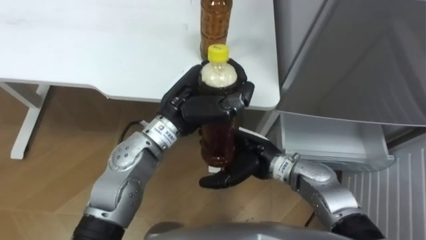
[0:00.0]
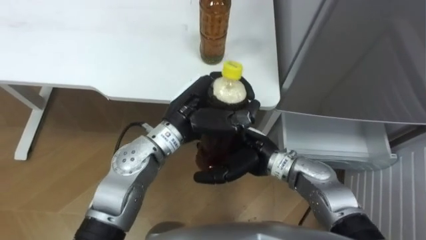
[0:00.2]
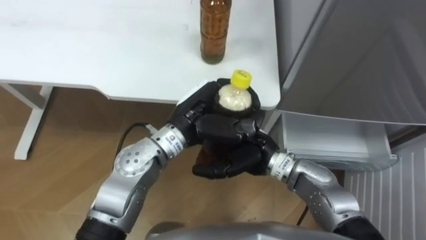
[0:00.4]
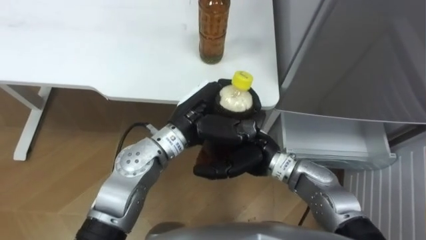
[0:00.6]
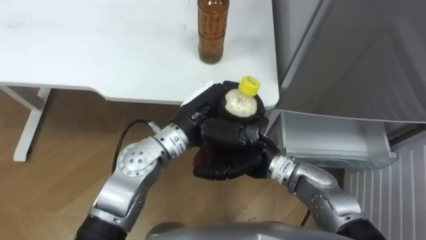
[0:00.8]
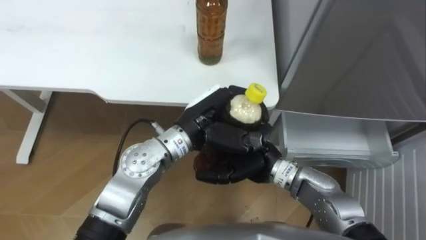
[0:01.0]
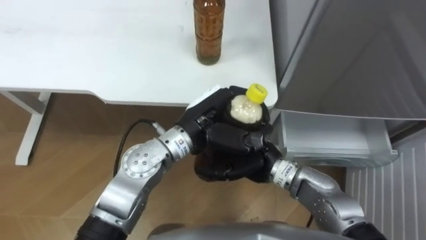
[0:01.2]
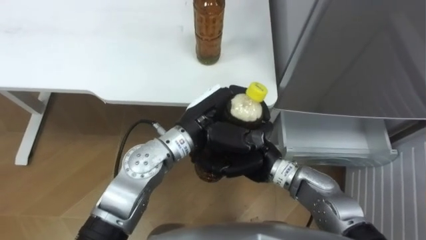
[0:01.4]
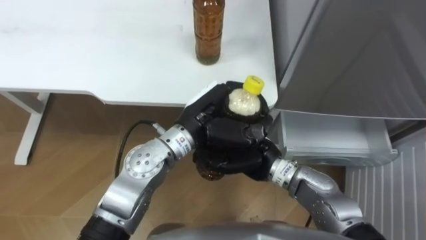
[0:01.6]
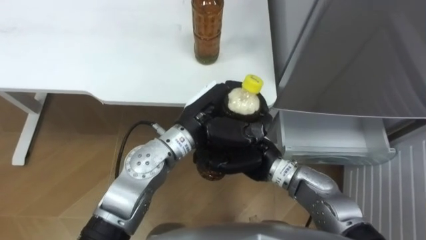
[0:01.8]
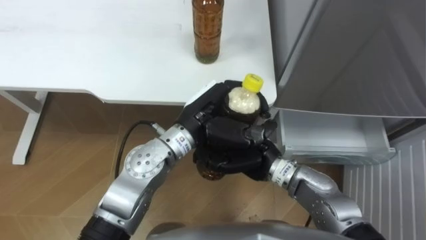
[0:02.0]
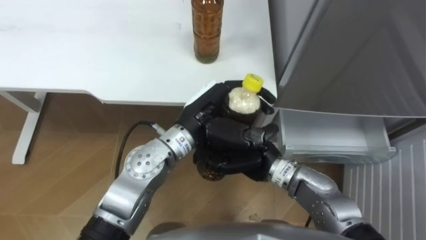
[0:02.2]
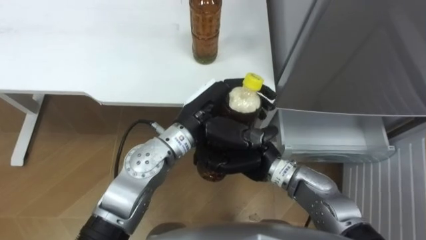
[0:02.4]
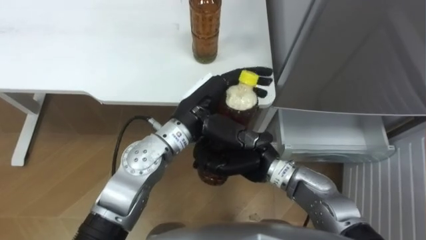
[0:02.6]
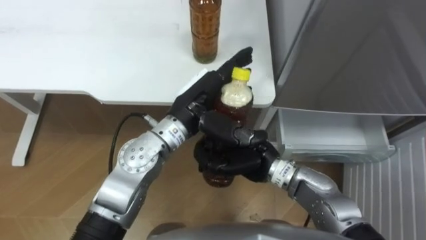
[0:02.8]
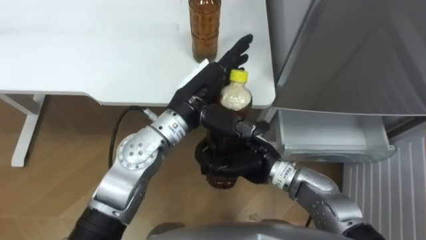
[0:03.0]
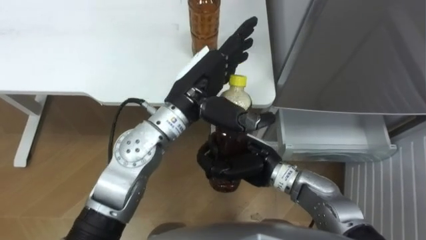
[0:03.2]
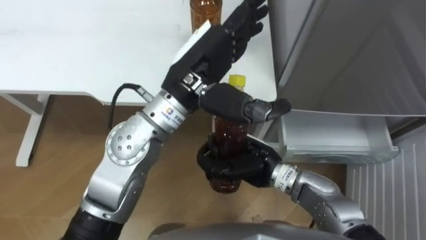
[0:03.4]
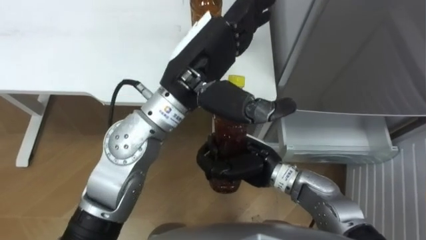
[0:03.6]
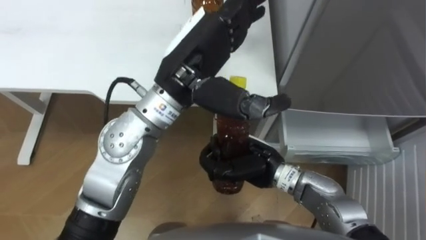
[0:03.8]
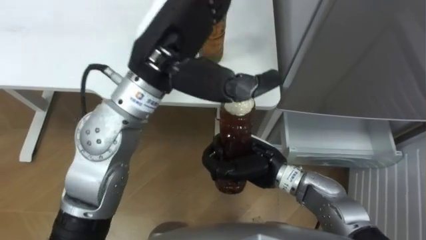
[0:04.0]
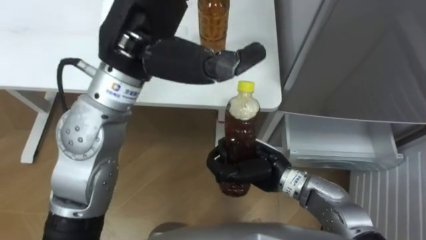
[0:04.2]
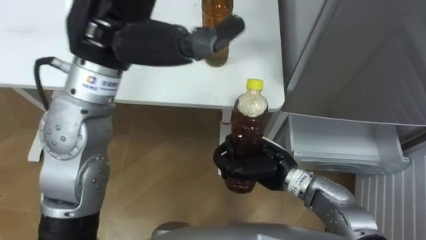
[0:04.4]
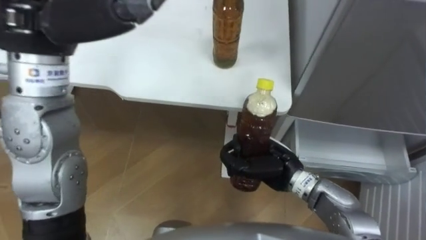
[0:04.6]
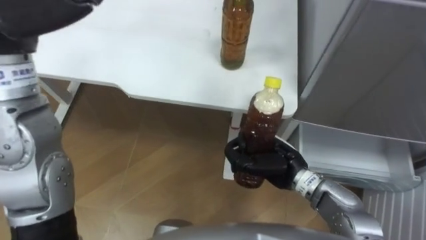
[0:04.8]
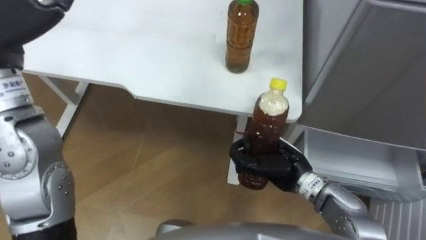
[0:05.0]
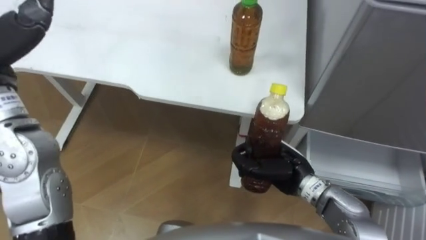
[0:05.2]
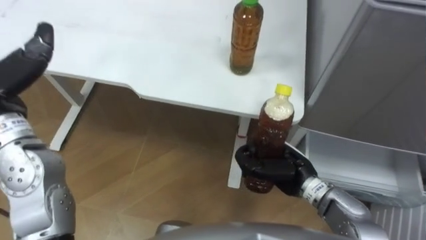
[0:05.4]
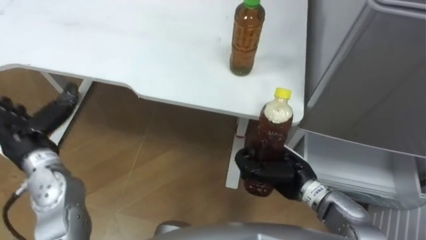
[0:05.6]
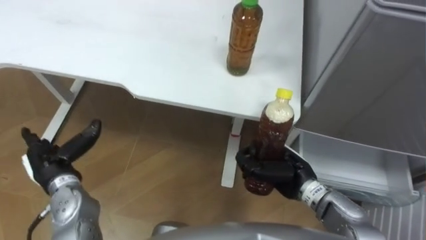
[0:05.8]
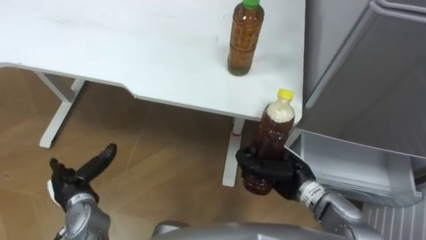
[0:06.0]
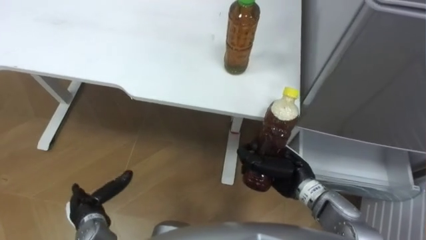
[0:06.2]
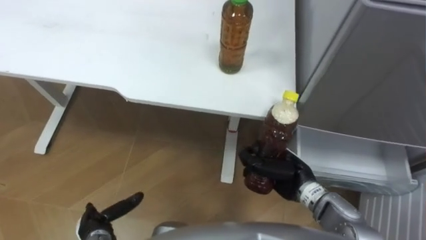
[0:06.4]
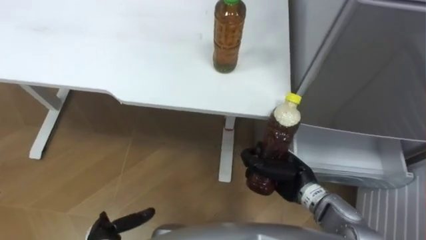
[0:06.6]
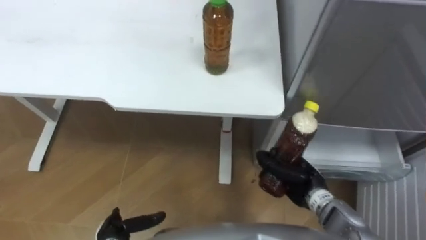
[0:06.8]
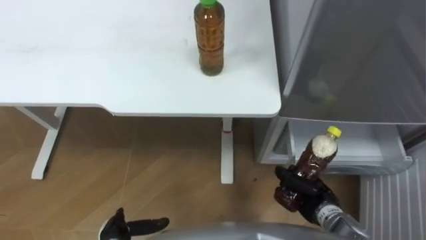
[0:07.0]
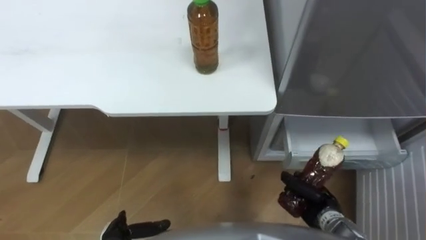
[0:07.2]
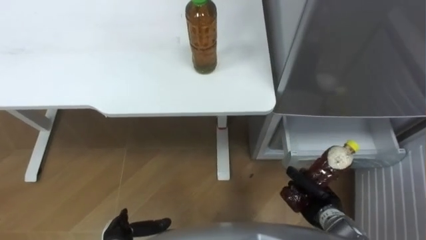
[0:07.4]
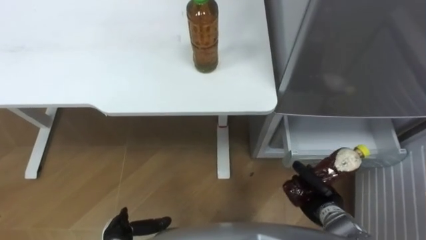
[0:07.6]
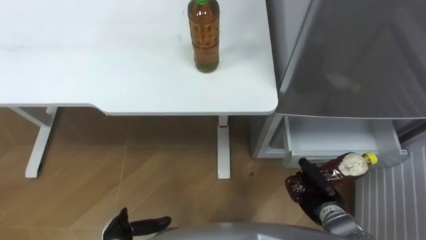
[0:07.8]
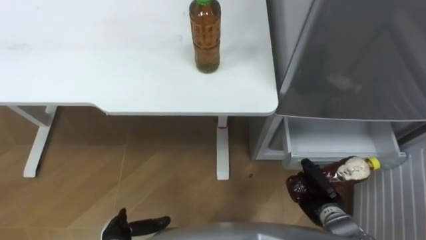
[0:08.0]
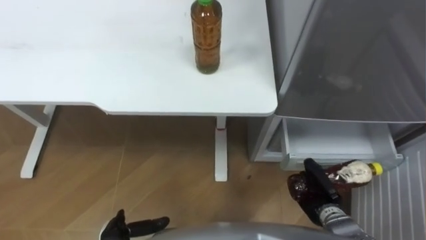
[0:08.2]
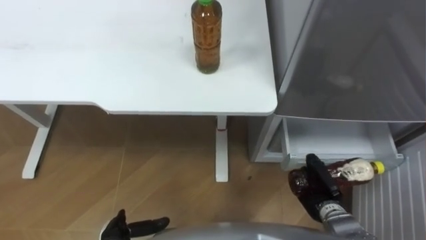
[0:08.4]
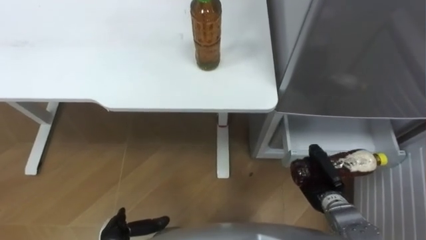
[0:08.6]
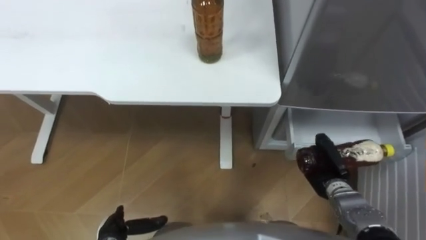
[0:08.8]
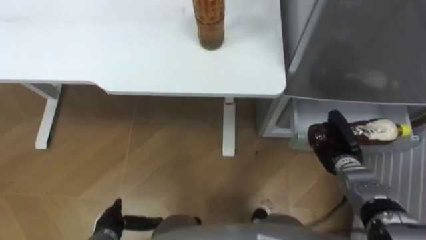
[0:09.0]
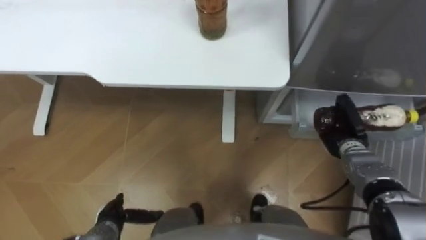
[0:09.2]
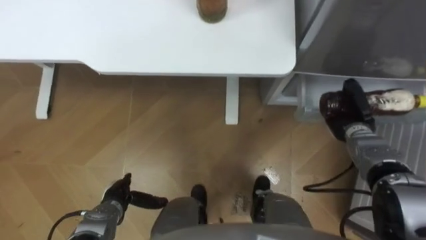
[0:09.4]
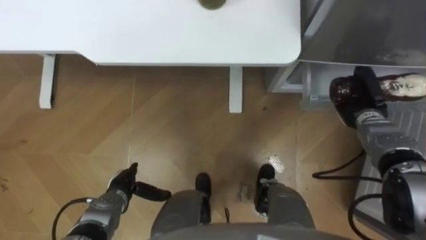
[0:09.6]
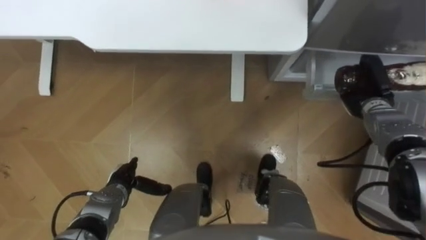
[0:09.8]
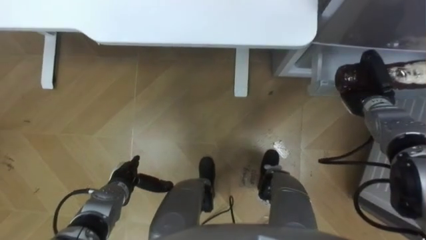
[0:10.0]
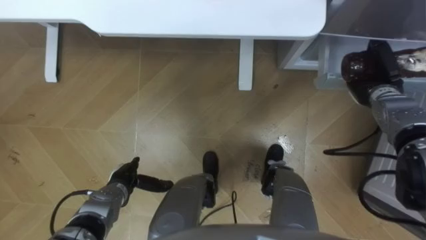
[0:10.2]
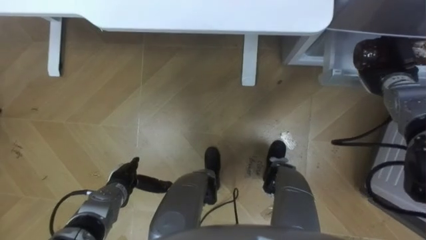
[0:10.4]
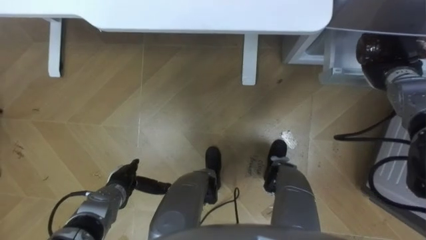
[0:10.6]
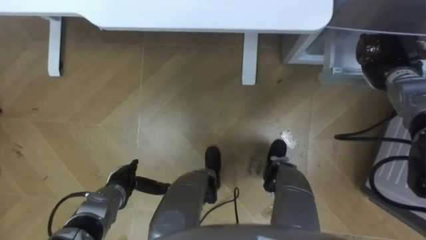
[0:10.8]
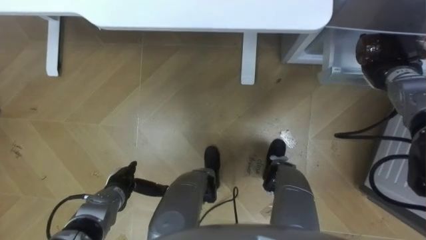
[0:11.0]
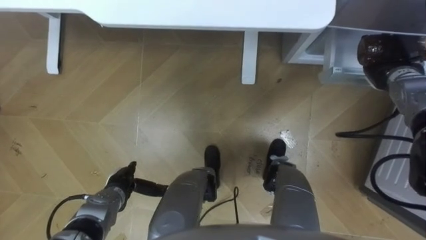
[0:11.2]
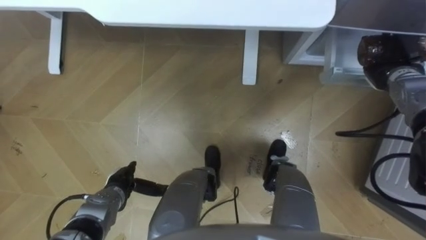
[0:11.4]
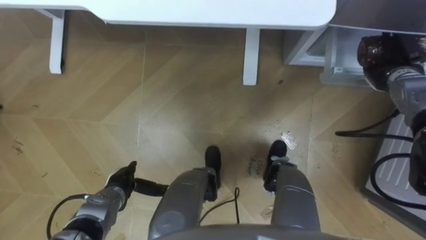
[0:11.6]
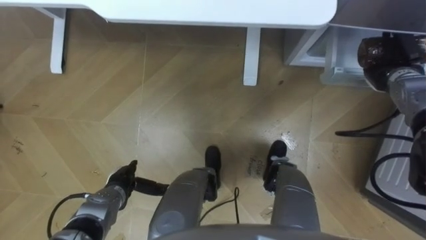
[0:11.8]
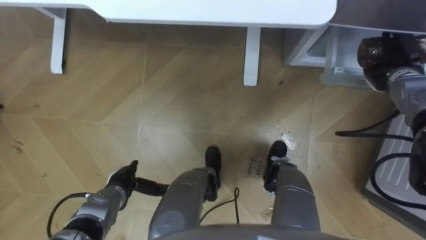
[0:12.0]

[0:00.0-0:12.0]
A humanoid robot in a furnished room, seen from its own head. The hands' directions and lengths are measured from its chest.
Task of the whole recording: Place the drink on the table on the bottom shelf of the refrigerator, then close the drawer and the refrigerator door.
0:00.0 to 0:01.6: The right hand closes up.
0:01.6 to 0:03.0: The left hand opens.
0:03.0 to 0:04.4: The left hand moves upward and to the left, some 20 cm.
0:04.4 to 0:06.0: The right hand ends up roughly 5 cm from where it was.
0:06.0 to 0:07.6: The left hand heads backward, downward and to the right, covering roughly 15 cm. The right hand goes about 15 cm to the right, downward and backward.
0:07.6 to 0:09.0: The right hand shifts some 10 cm forward.
0:09.0 to 0:10.4: The left hand is displaced forward by roughly 10 cm. Meanwhile the right hand goes roughly 20 cm forward, upward and to the right.

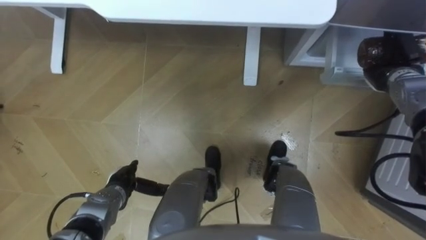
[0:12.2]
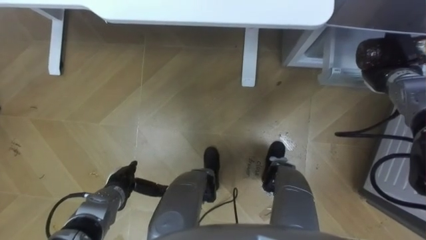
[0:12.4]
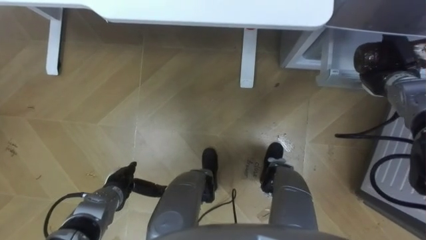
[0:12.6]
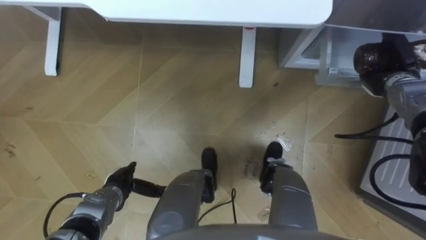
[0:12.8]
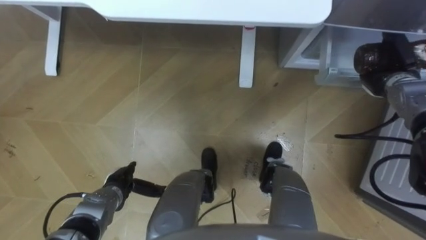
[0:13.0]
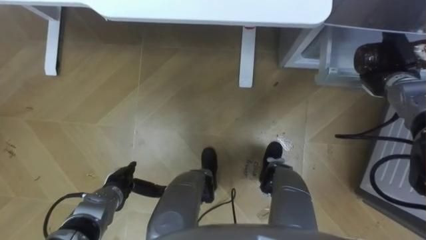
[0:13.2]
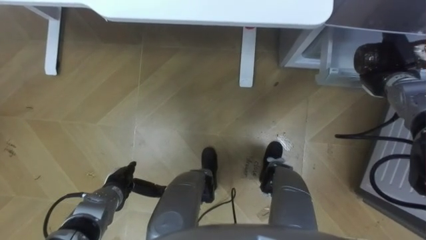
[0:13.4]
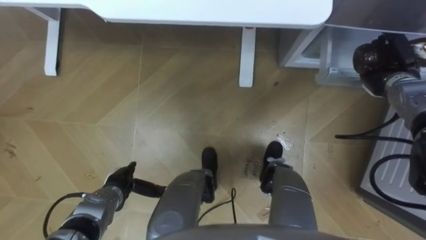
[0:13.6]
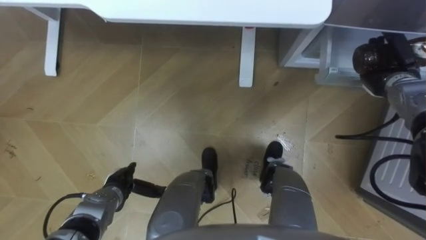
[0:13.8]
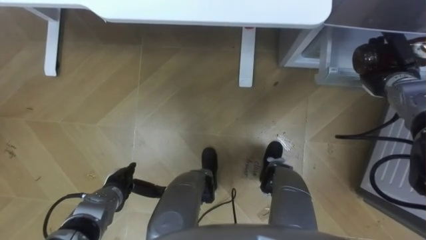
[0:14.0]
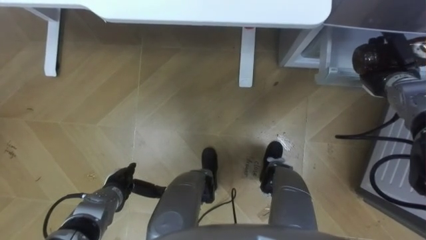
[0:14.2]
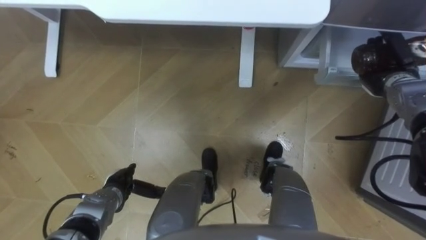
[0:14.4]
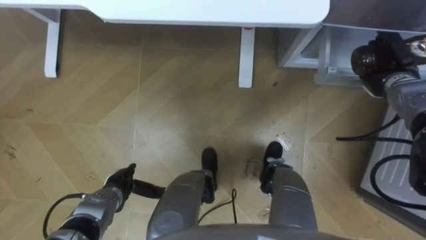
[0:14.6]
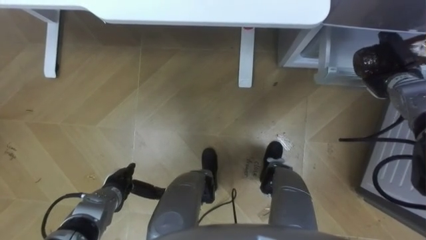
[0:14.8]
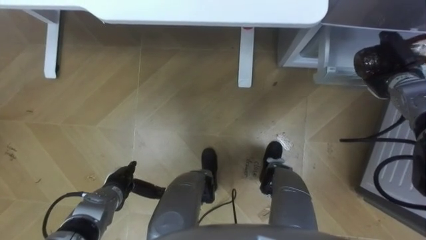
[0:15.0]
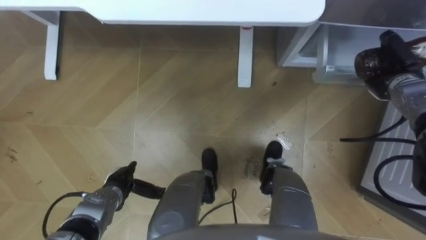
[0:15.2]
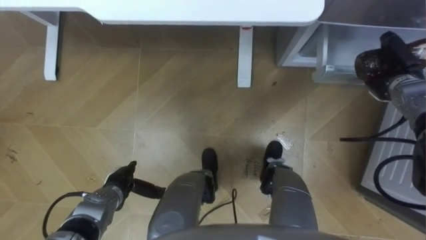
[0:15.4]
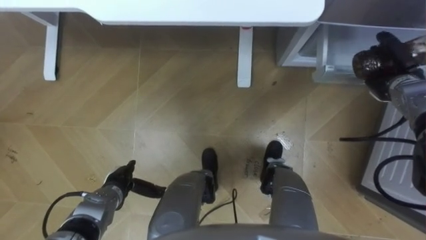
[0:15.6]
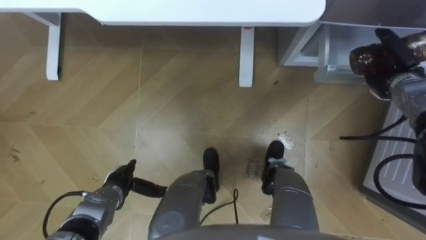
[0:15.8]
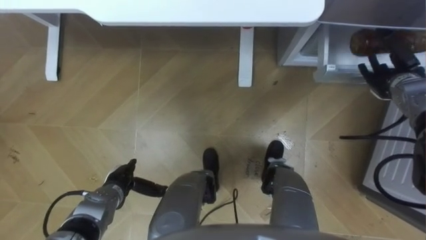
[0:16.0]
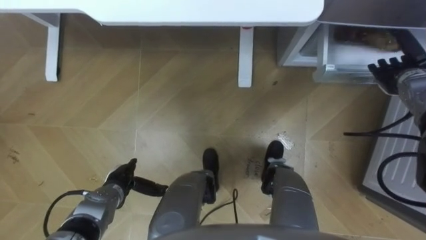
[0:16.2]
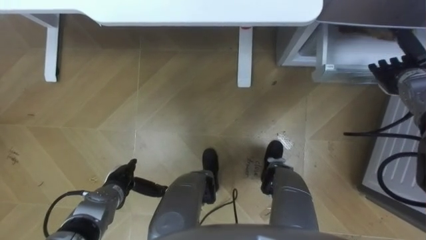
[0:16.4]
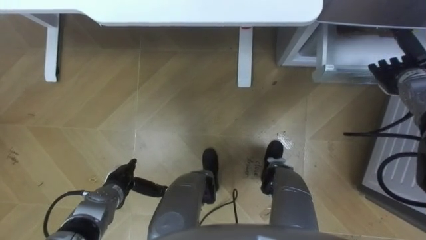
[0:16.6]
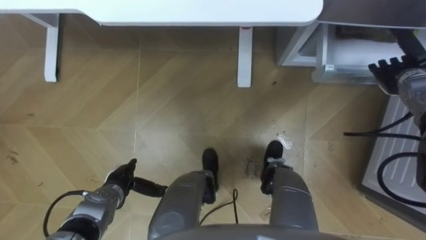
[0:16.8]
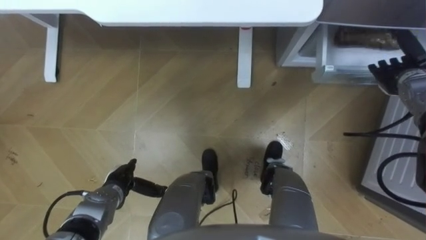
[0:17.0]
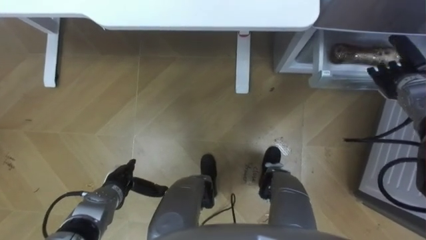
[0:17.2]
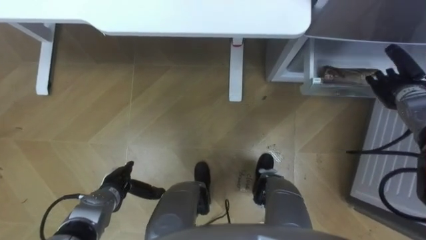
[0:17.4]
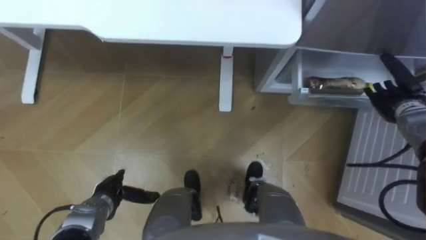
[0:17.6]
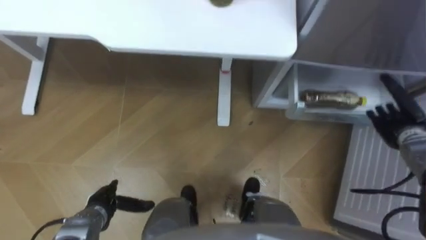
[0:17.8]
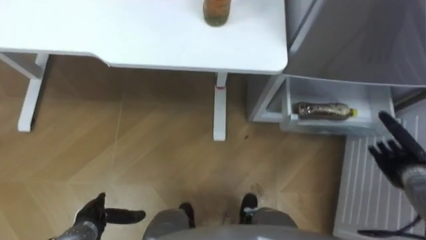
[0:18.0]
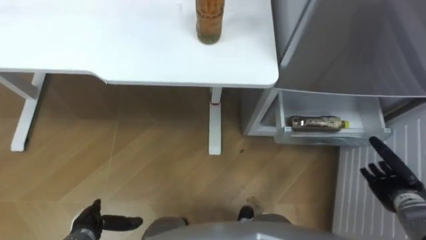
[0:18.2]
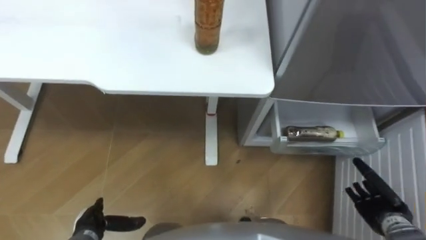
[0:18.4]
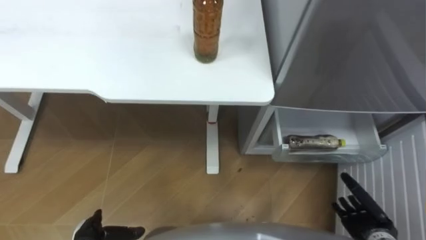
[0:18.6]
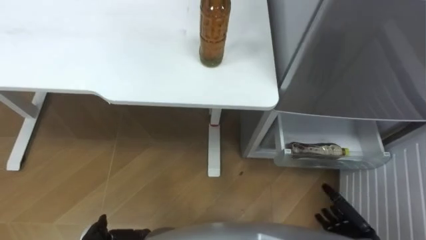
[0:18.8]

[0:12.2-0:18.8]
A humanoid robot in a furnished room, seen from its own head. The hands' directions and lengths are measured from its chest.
Task of the whole recording: Place the drink on the table on the bottom shelf of the refrigerator, then close the drawer and the refrigerator door.
0:12.2 to 0:13.8: Both hands stay about where they are.
0:13.8 to 0:15.4: The hands move only a little.
0:15.4 to 0:17.2: The right hand opens.
0:17.2 to 0:18.8: The right hand travels backward and downward by about 35 cm.
